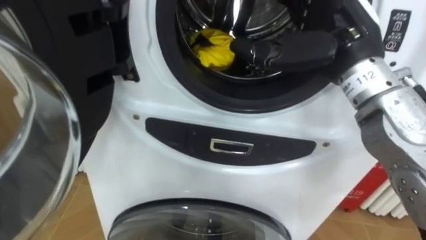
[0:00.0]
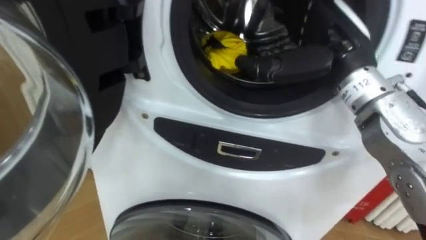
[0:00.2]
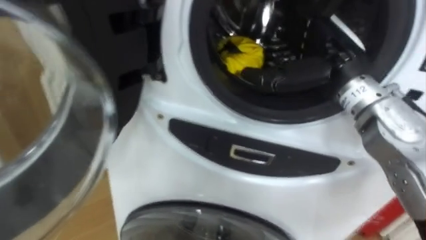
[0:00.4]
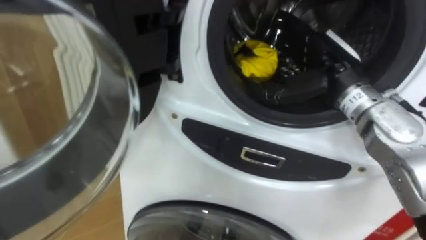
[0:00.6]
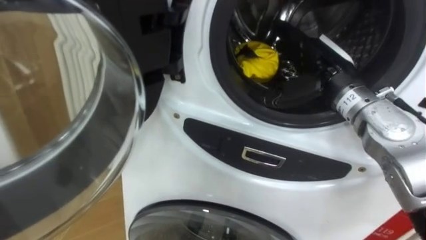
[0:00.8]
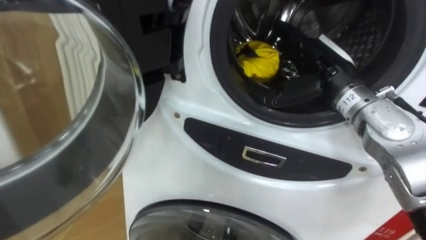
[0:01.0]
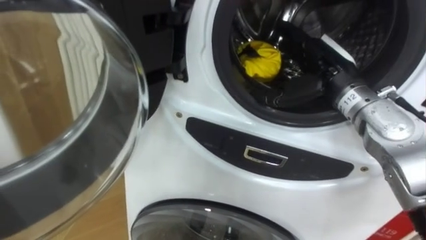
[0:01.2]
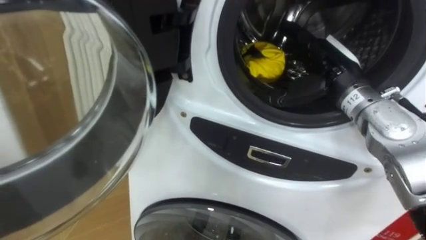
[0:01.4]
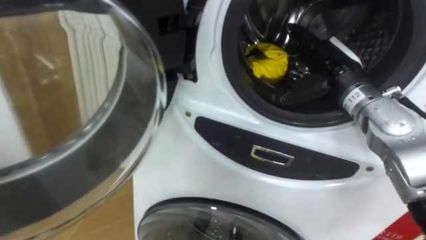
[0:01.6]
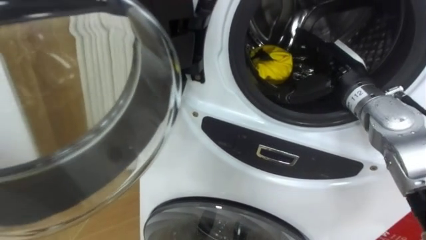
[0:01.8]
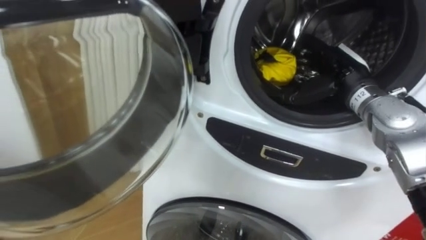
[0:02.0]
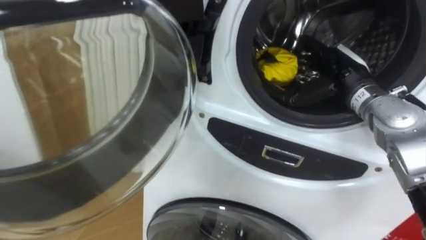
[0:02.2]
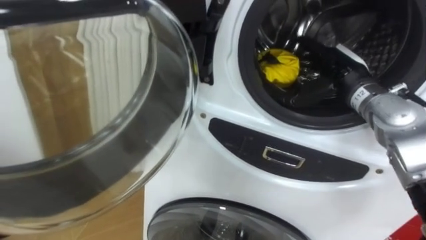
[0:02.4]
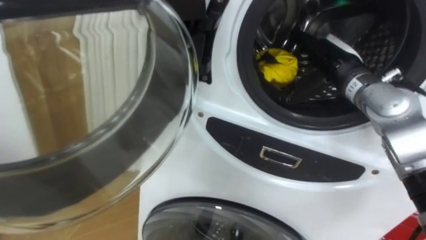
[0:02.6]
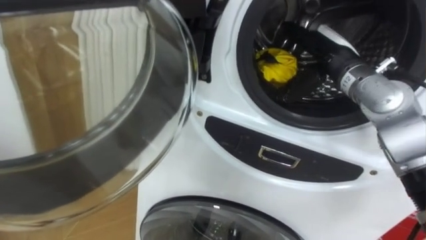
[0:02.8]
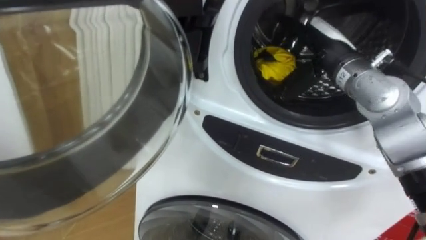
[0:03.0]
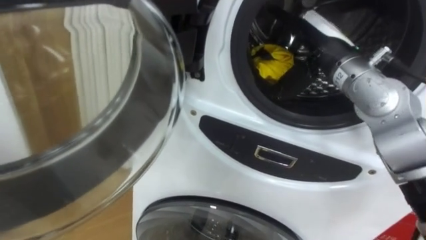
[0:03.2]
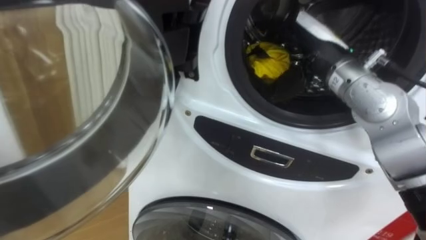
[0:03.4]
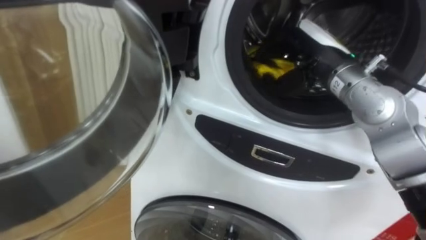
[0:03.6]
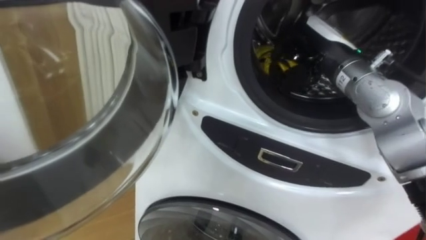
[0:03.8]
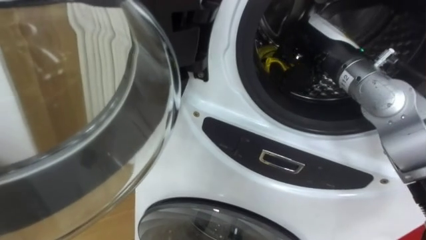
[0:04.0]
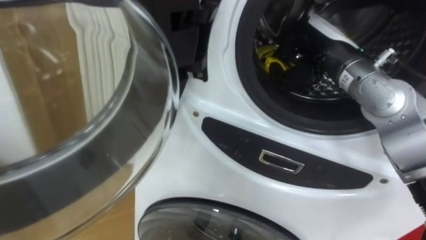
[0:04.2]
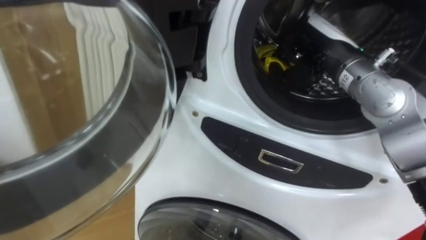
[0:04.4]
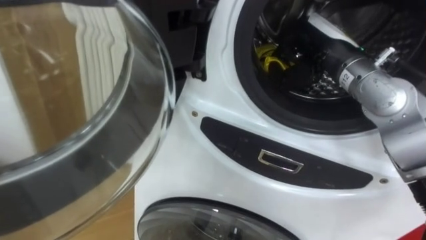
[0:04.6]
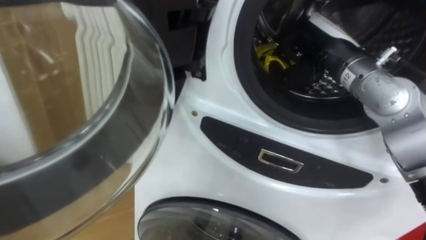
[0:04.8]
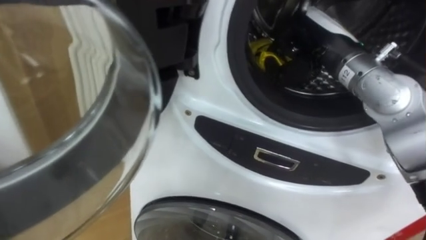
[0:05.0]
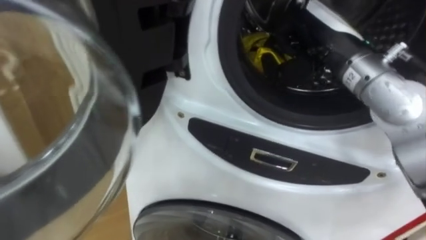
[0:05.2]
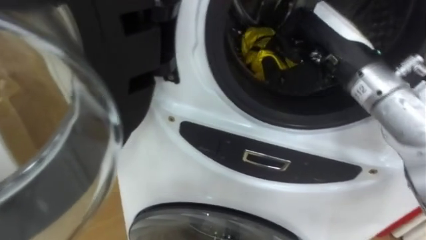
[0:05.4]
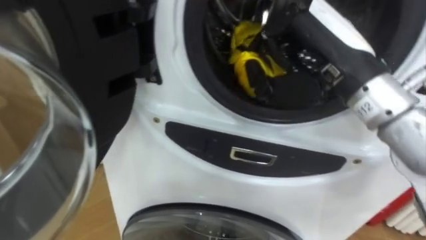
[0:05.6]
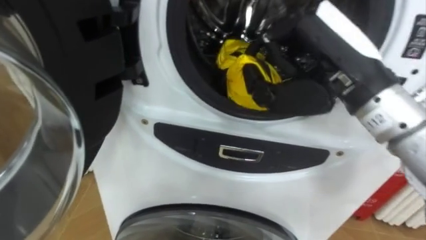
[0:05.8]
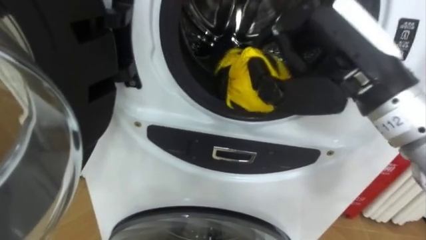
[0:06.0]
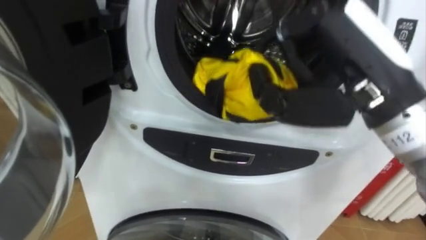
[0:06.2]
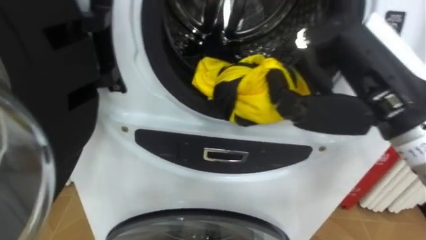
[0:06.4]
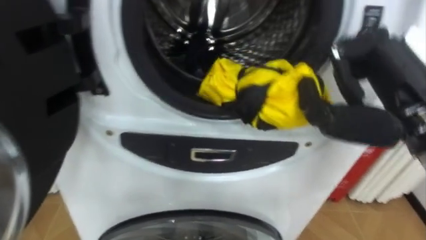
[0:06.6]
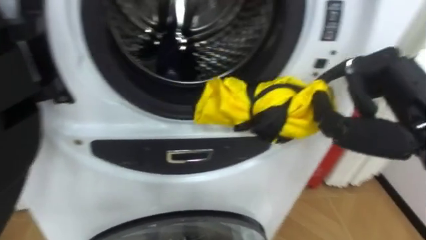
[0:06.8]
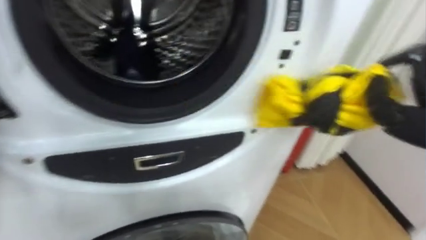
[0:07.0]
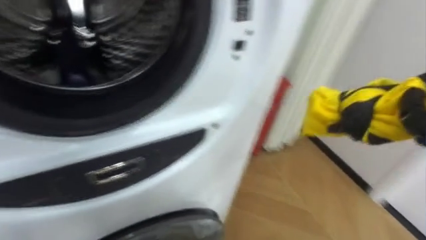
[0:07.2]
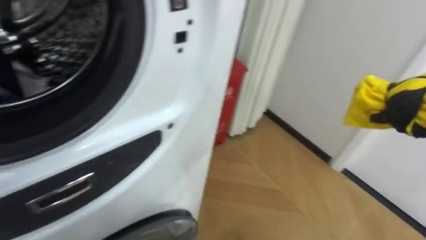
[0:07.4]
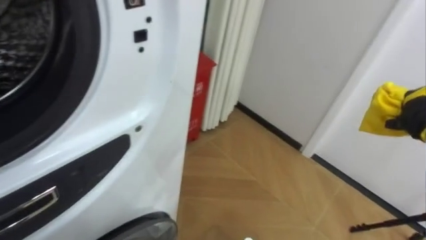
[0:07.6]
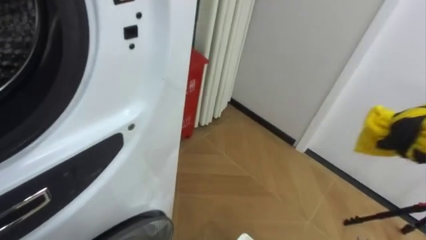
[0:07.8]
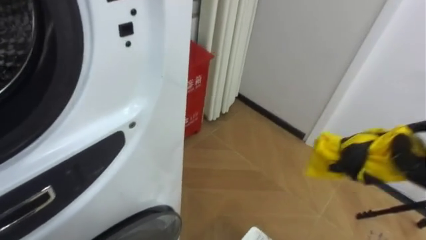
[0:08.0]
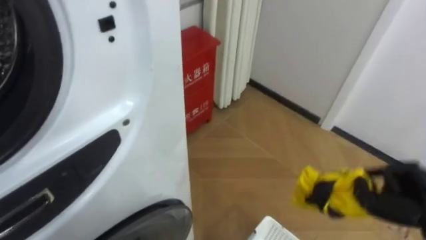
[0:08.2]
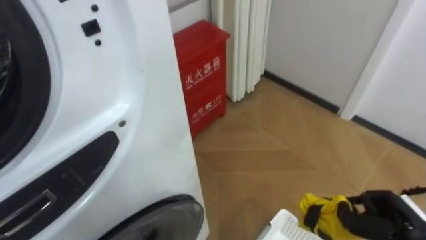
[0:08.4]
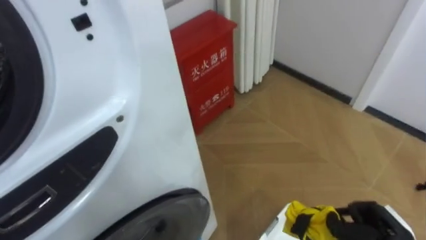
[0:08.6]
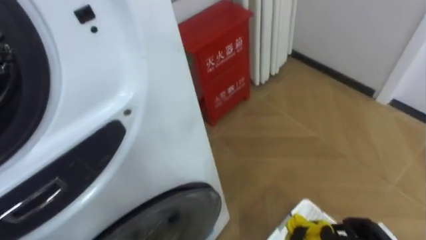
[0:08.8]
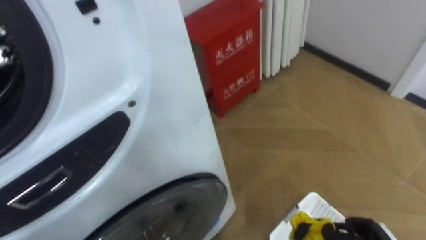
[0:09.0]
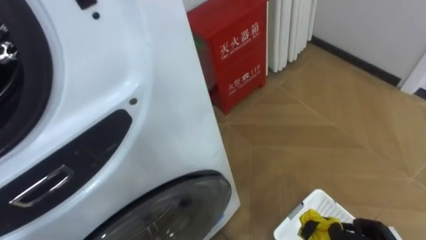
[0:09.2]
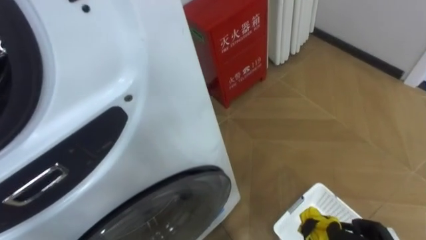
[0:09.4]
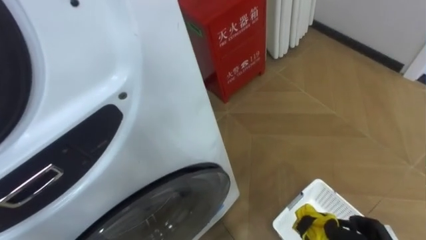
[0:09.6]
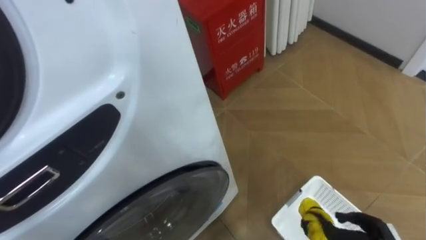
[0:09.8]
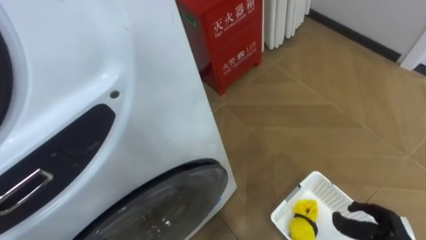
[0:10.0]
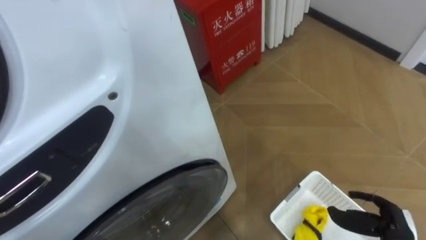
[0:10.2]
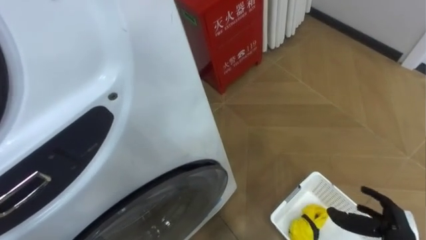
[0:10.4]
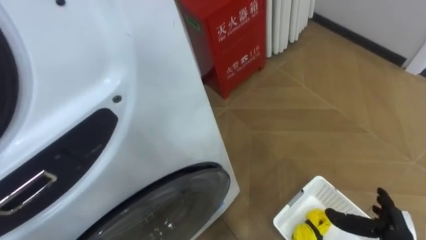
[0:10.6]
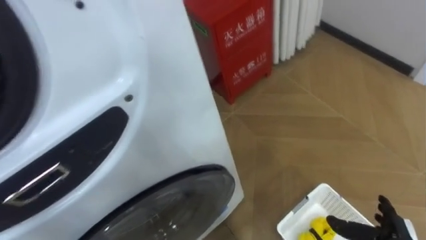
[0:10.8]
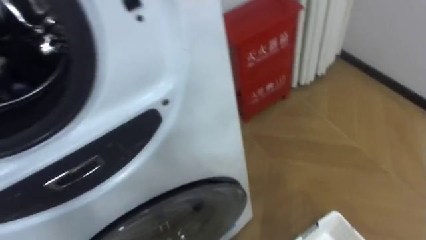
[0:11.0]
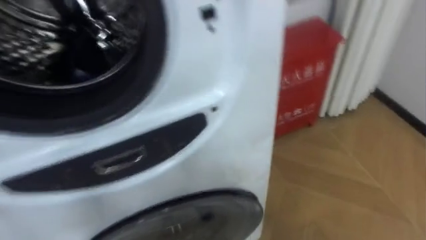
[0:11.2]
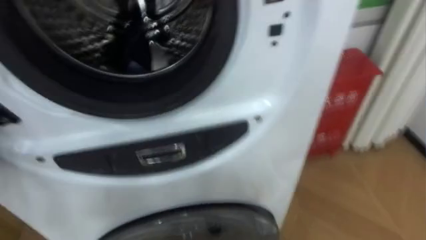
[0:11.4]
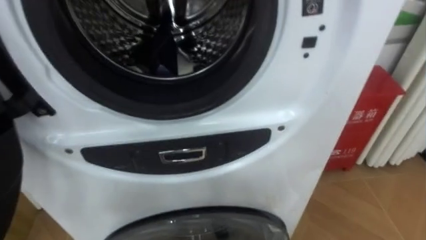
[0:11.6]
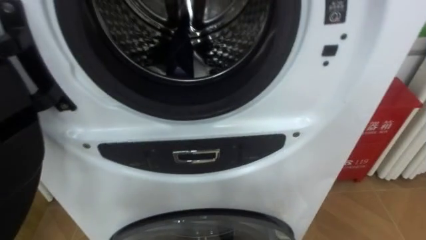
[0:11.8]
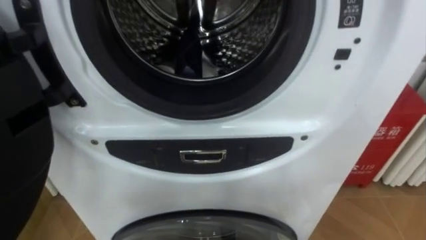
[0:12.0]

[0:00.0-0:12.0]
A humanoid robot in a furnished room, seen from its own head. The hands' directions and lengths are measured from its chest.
Task of the whole recording: Open the washing machine door, take out the yellow clothes, place them in the box on the right, and close the washing machine door.
0:00.0 to 0:01.6: The right hand heads downward and forward, covering some 10 cm.
0:03.0 to 0:04.4: The right hand closes up.
0:04.4 to 0:06.0: The right hand shifts some 15 cm backward and upward.

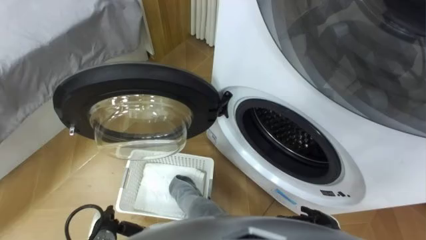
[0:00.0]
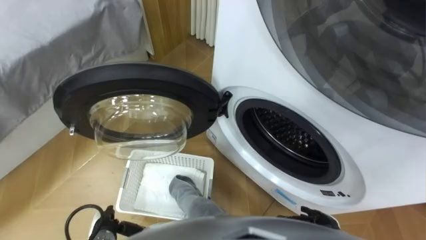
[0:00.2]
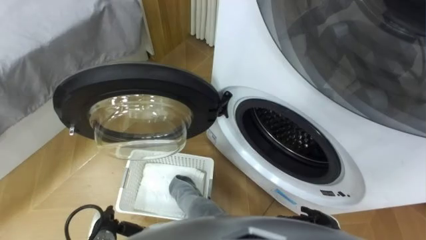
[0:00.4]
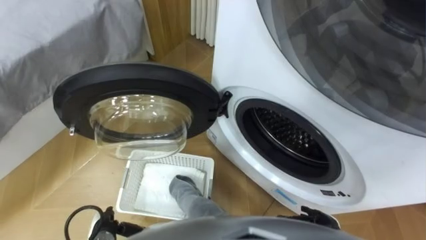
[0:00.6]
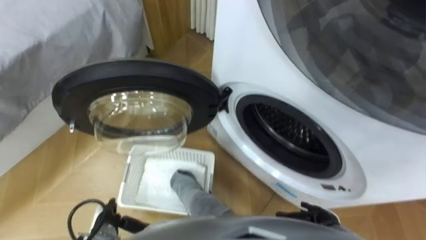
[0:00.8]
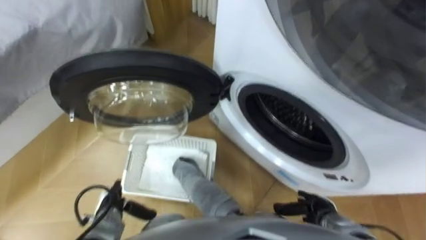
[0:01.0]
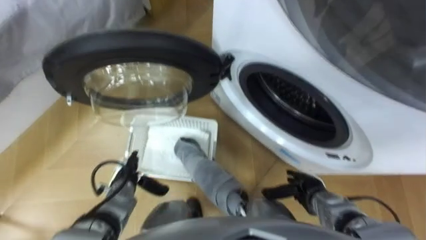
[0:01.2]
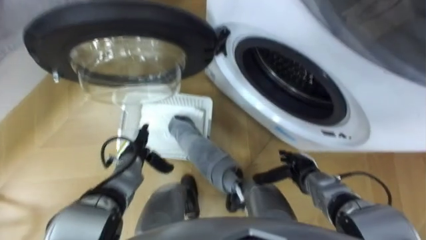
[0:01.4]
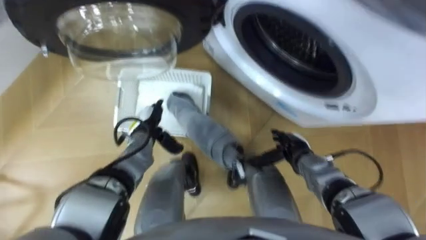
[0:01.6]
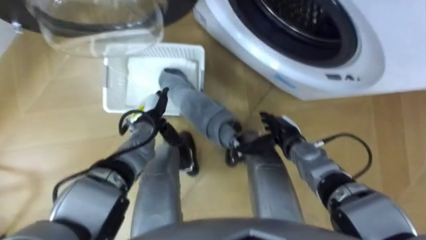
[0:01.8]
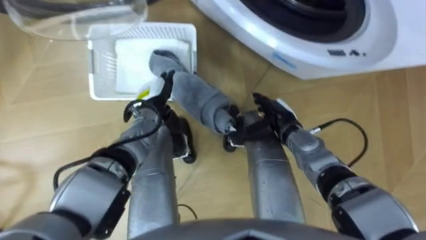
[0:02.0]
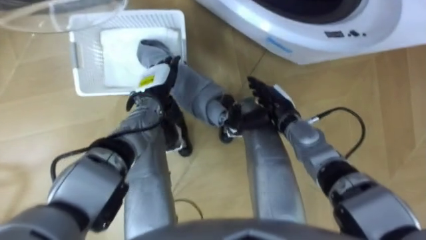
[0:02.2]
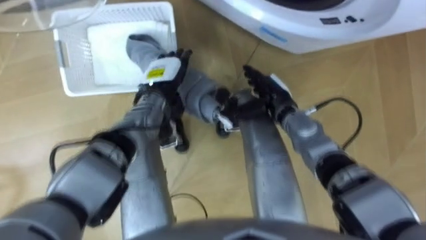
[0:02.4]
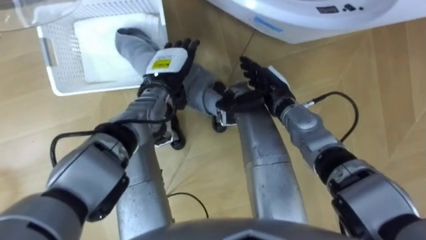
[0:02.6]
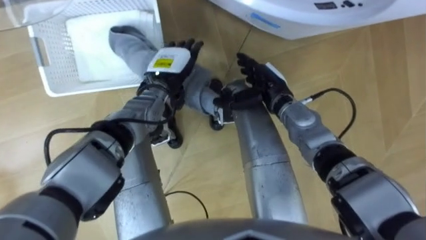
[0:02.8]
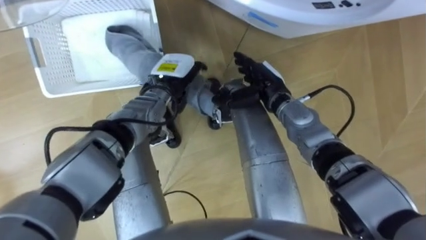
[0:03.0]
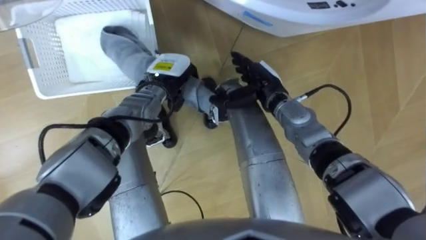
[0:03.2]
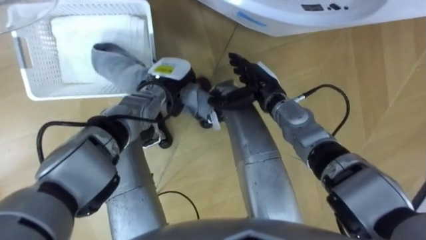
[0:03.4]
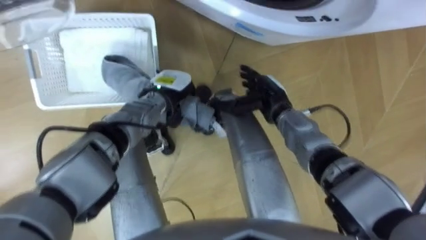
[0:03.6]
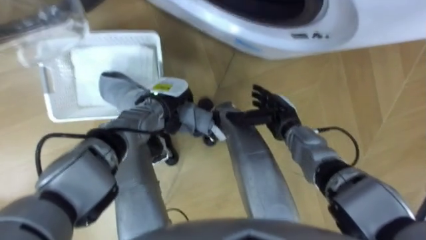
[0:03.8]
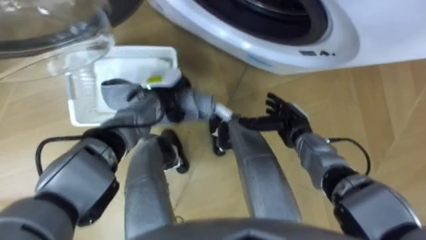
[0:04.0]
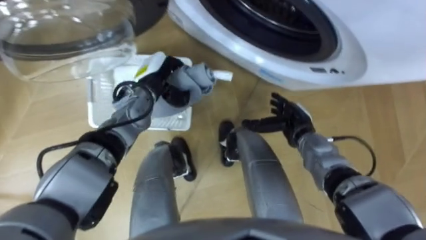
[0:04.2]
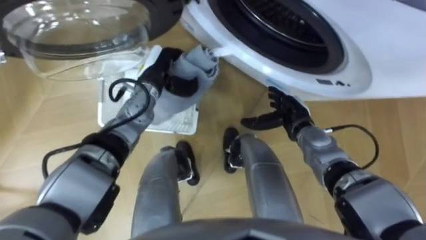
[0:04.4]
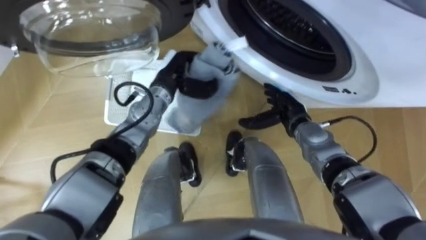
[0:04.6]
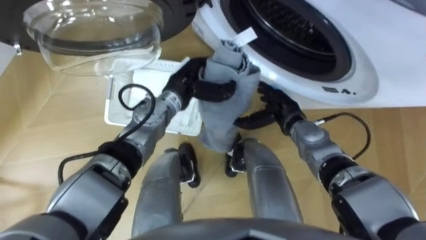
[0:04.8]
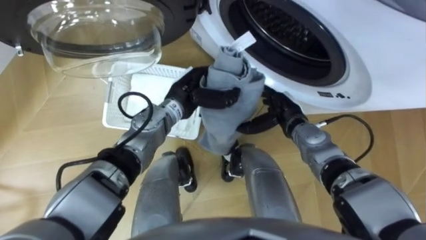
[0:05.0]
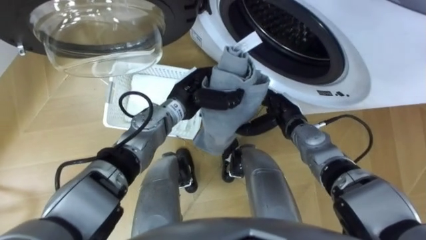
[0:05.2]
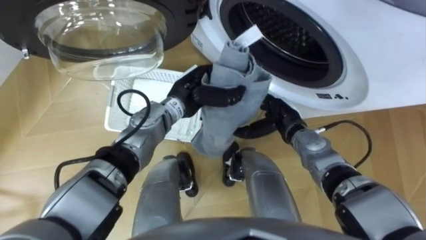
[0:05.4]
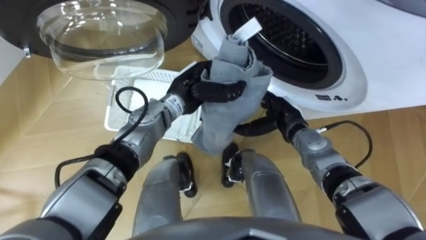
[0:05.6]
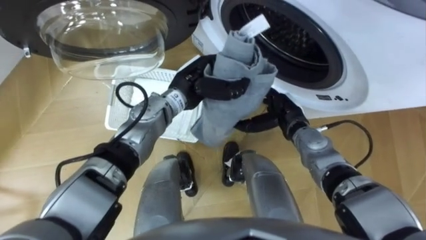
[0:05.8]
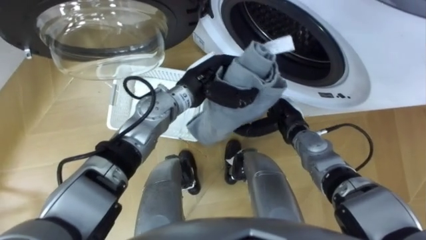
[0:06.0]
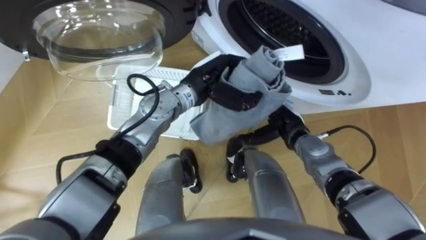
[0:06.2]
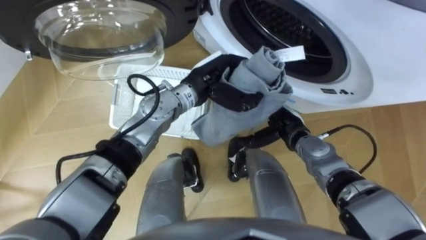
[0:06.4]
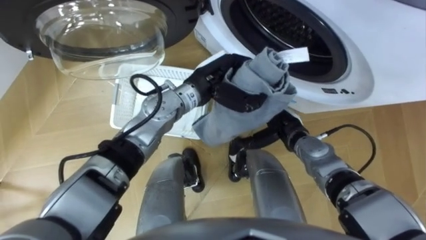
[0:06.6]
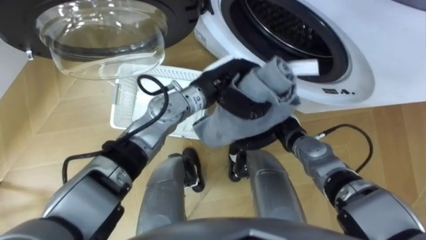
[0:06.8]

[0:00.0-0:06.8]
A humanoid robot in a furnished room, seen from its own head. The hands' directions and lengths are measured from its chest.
Task of the whole recording: Take the towel from the basket and put it into the washing machine.
0:01.4 to 0:02.8: The right hand is displaced forward, upward and to the left by about 20 cm. Meanwhile the left hand is displaced forward, upward and to the right by some 20 cm.
0:02.8 to 0:04.0: The right hand is displaced downward, to the right and backward by approximately 10 cm; the left hand closes.
0:04.0 to 0:05.4: The left hand is displaced to the right by some 5 cm.
0:05.4 to 0:06.8: The left hand changes place by approximately 5 cm.
